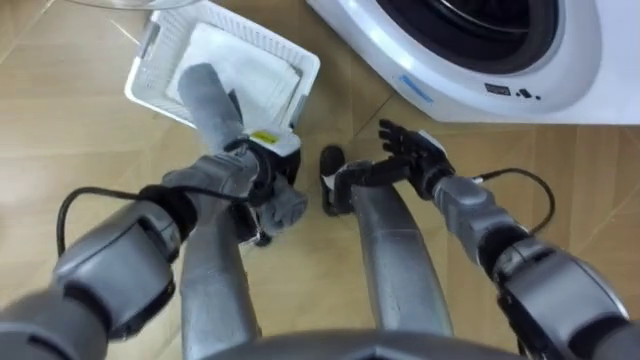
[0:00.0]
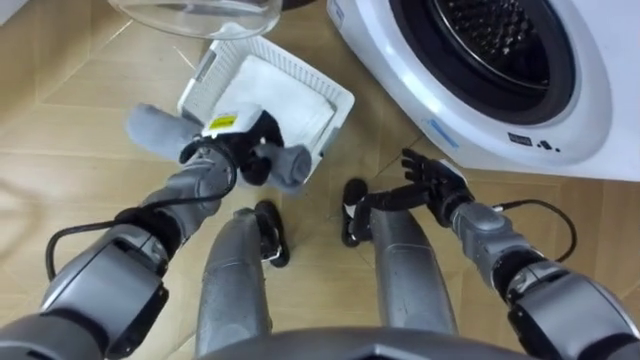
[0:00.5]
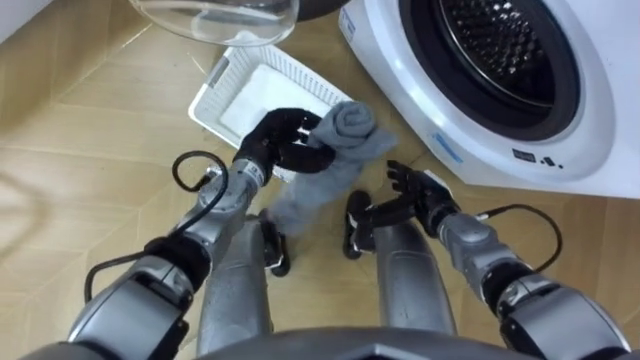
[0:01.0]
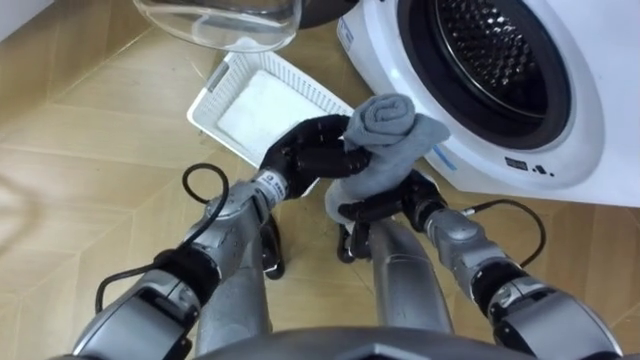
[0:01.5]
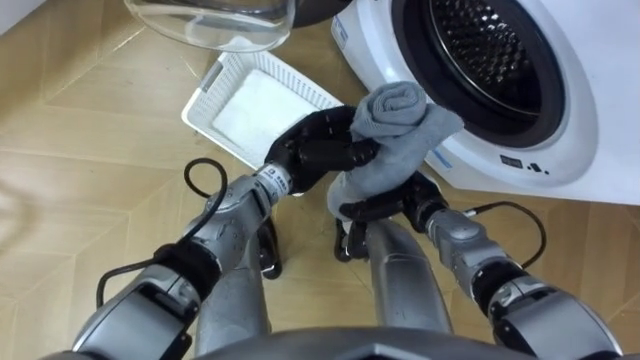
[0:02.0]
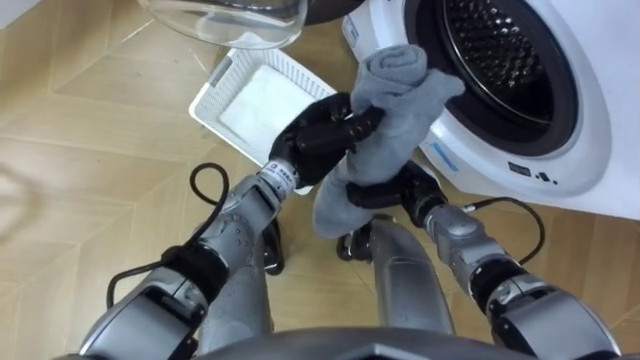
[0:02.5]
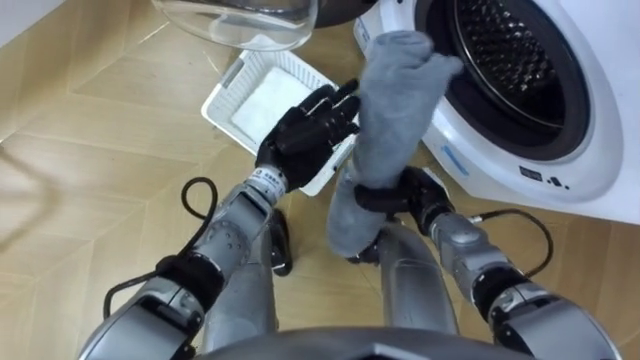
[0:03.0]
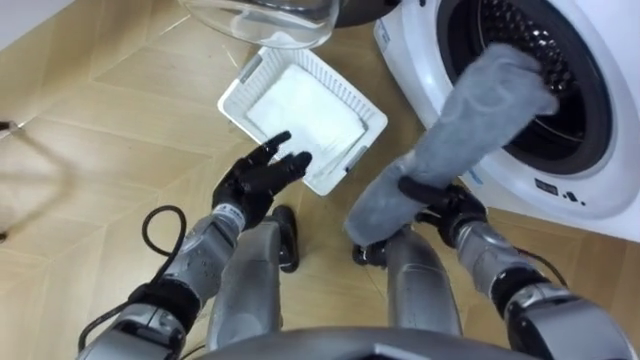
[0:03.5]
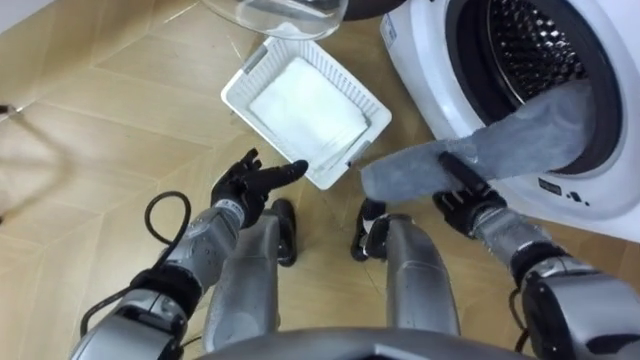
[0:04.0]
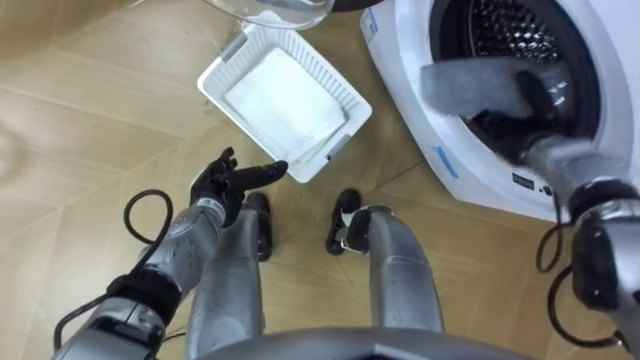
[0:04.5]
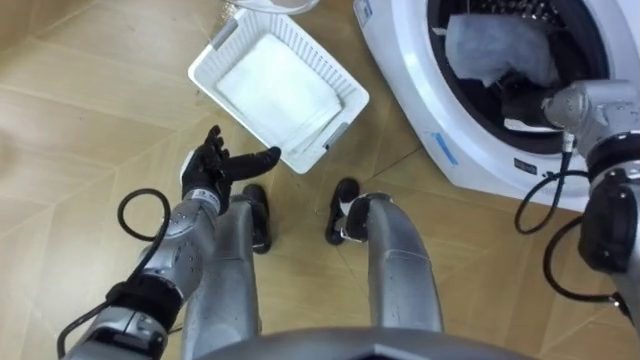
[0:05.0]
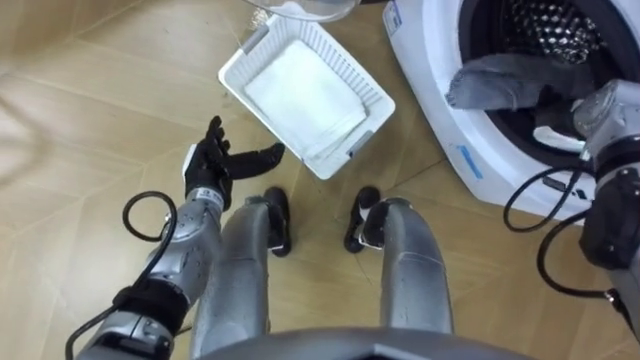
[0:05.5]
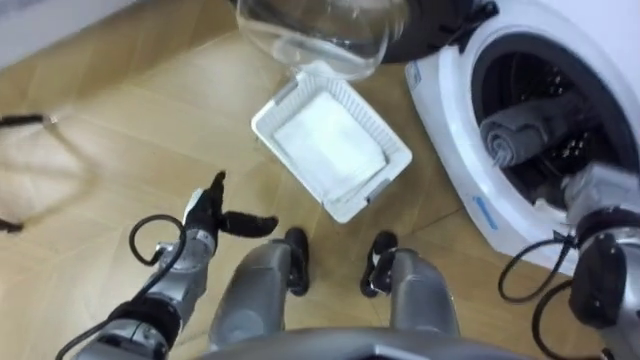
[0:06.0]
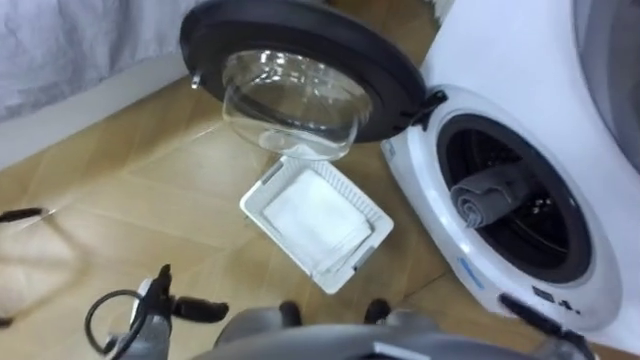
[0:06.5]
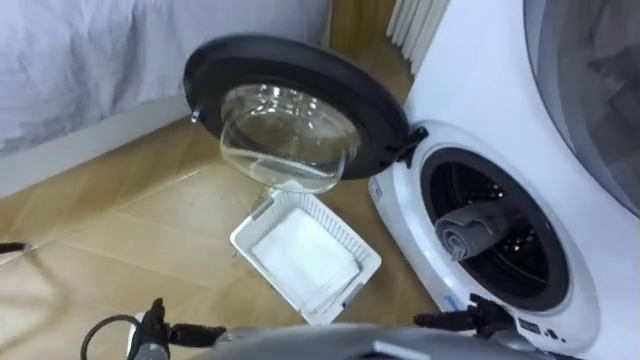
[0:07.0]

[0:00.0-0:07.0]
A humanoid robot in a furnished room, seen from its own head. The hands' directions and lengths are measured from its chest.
Task of the whole recording: Take the towel from the basket and put it into the washing machine.
0:00.0 to 0:02.0: The left hand shifts about 10 cm to the right and upward.
0:02.0 to 0:03.5: The left hand shifts approximately 10 cm to the left and downward, and opens. The right hand heads to the right, covering about 5 cm, and closes up.
0:03.5 to 0:05.0: The right hand is displaced upward, forward and to the right by some 20 cm; the left hand moves to the left, about 5 cm.
0:05.0 to 0:07.0: Both hands move backward and downward, about 30 cm. The right hand opens its fingers.

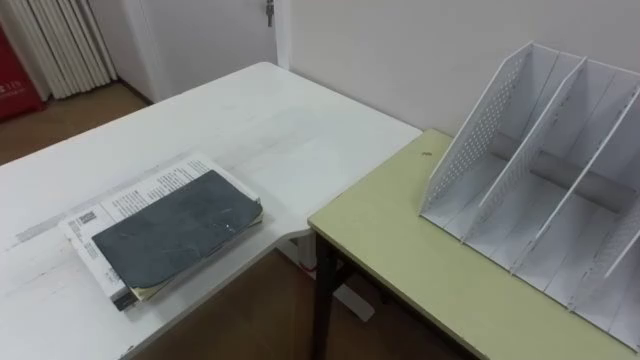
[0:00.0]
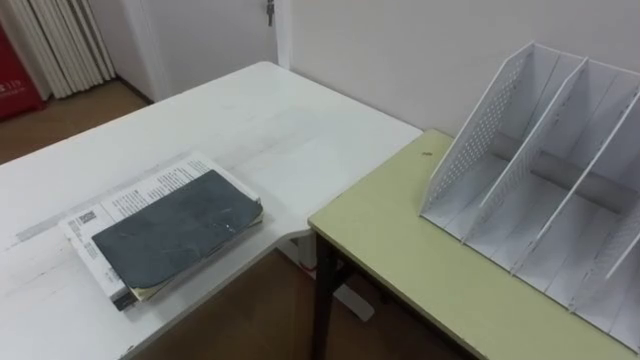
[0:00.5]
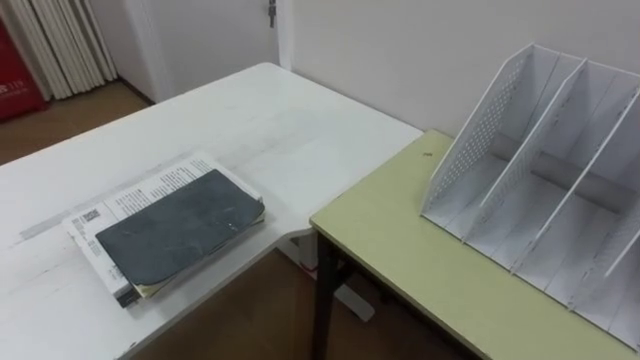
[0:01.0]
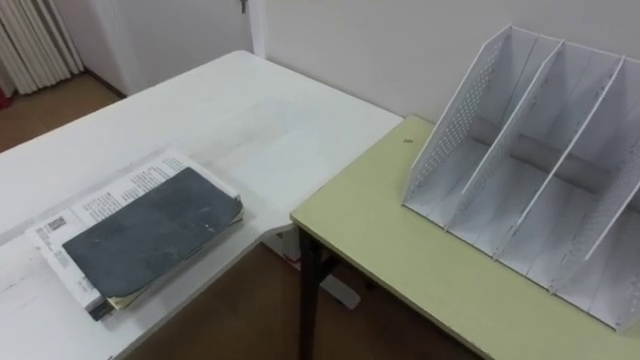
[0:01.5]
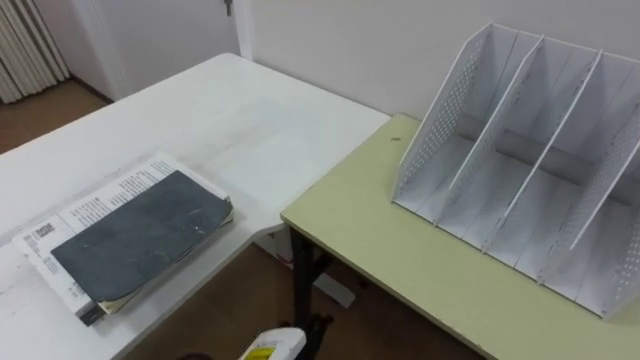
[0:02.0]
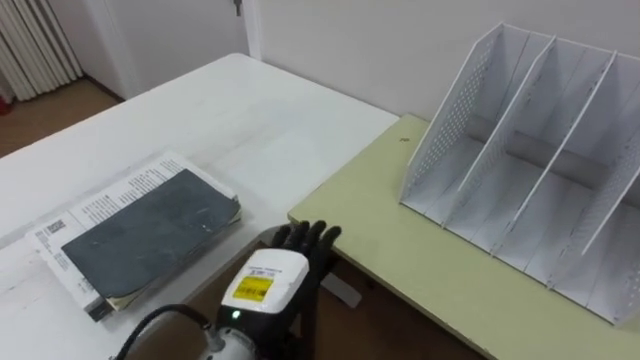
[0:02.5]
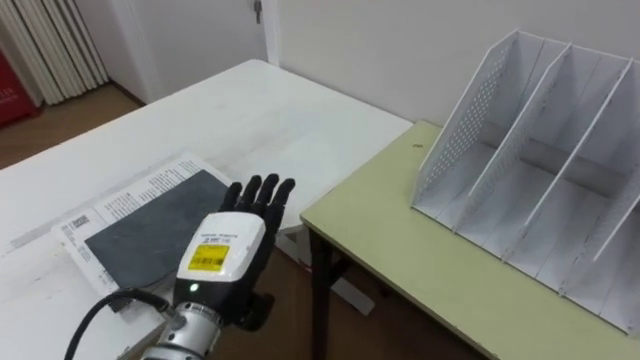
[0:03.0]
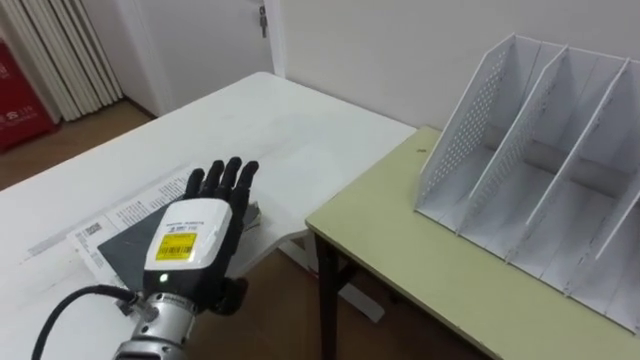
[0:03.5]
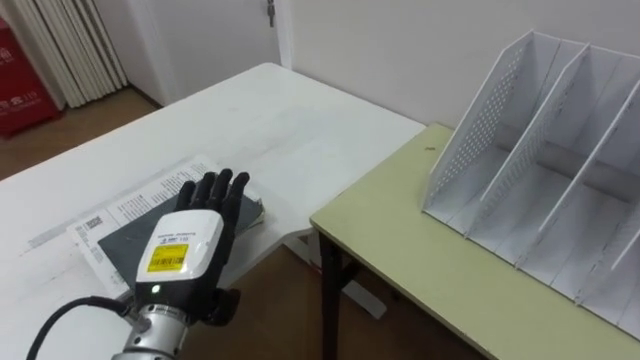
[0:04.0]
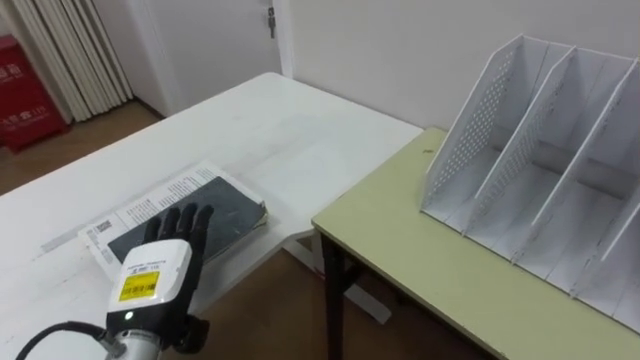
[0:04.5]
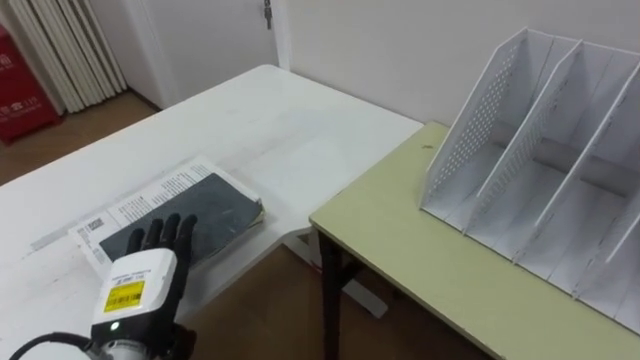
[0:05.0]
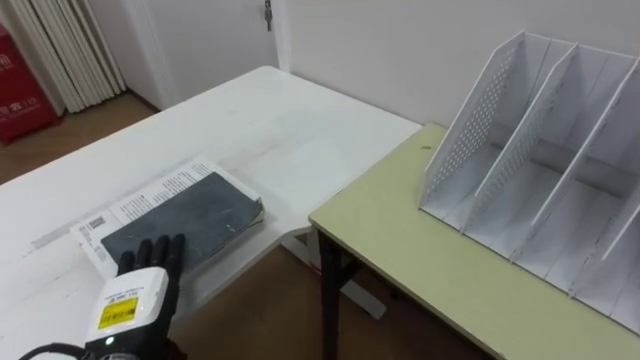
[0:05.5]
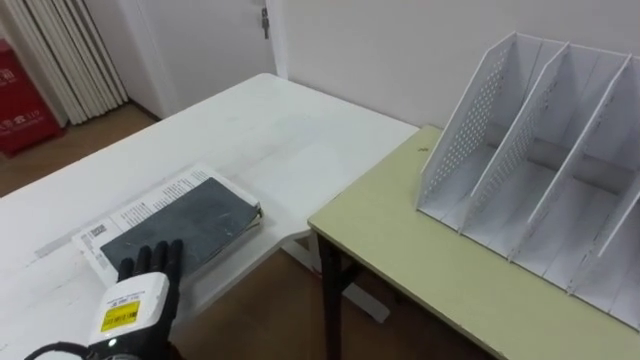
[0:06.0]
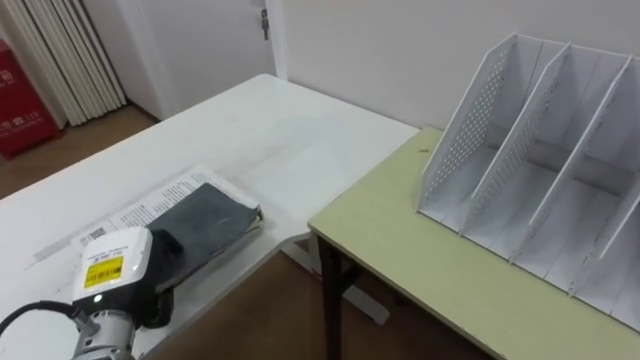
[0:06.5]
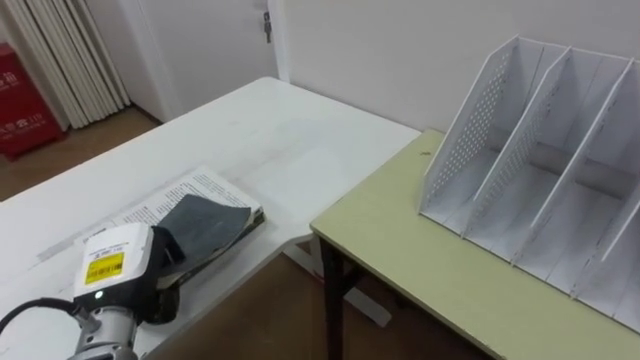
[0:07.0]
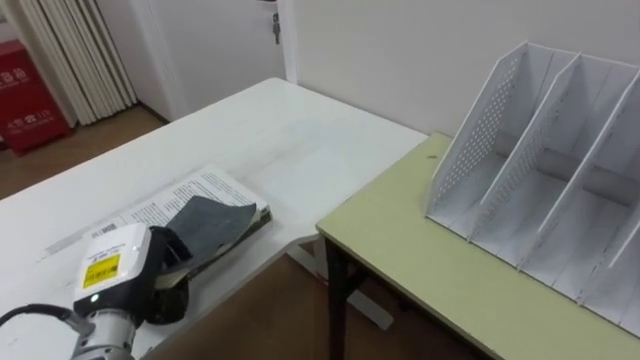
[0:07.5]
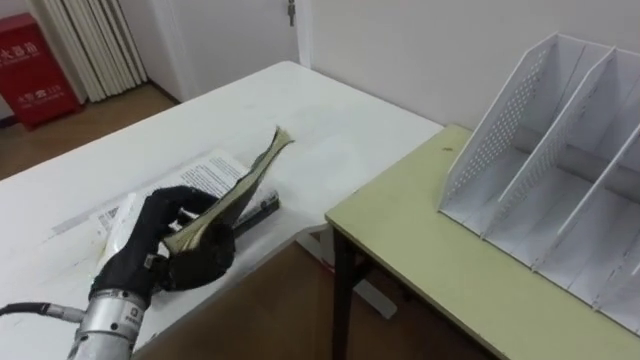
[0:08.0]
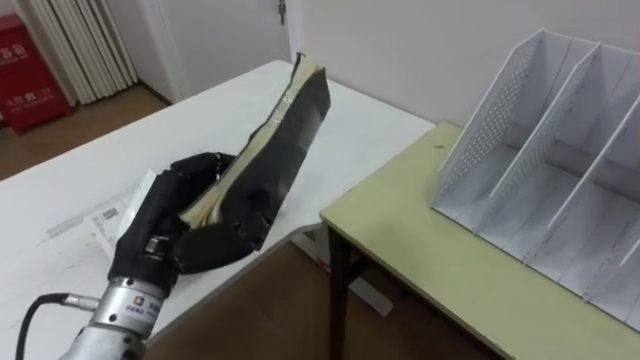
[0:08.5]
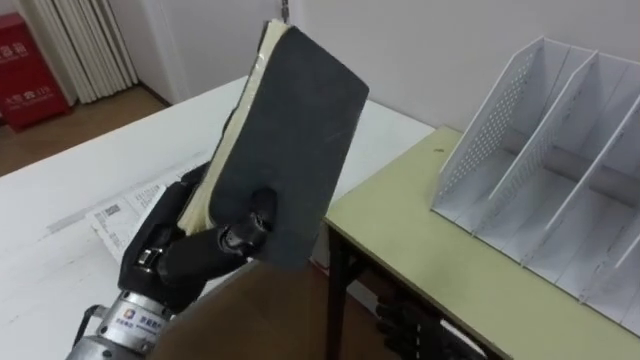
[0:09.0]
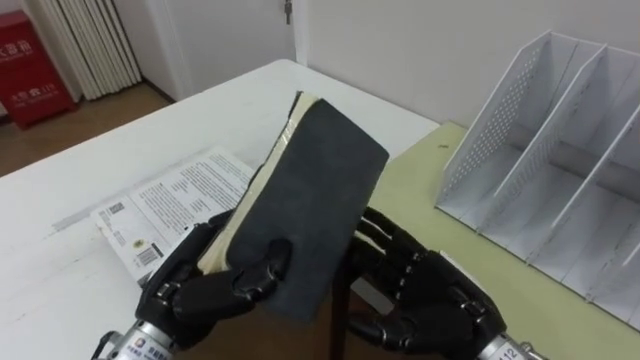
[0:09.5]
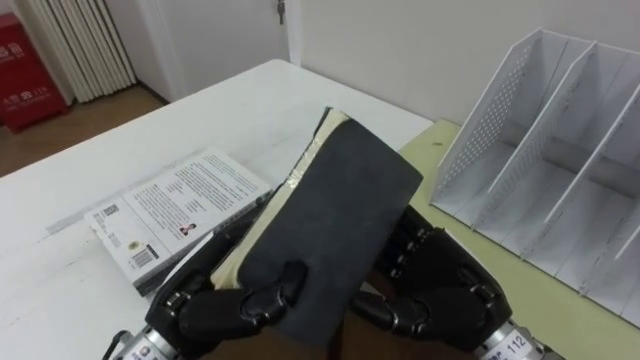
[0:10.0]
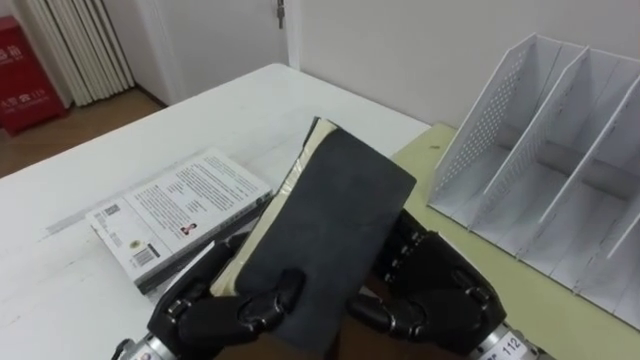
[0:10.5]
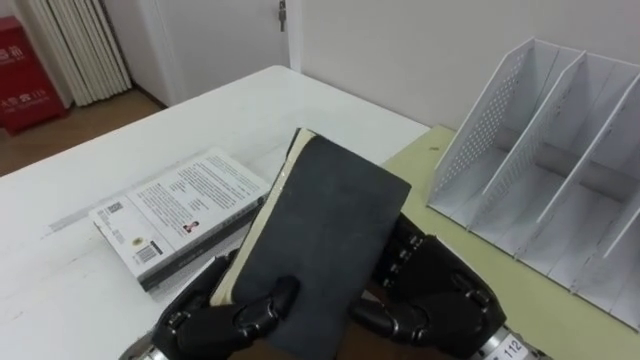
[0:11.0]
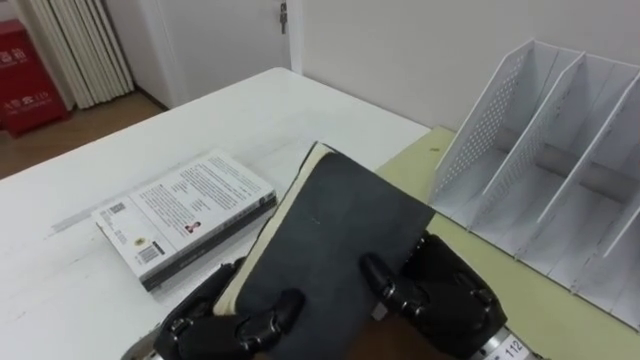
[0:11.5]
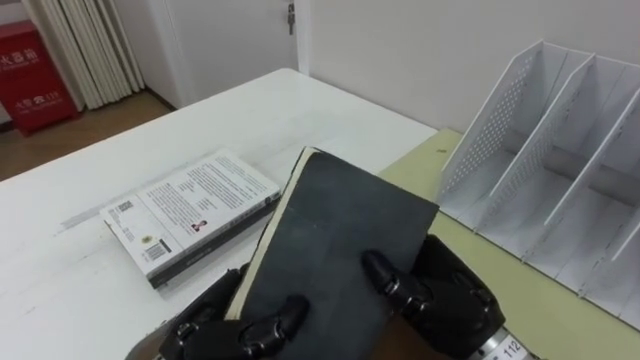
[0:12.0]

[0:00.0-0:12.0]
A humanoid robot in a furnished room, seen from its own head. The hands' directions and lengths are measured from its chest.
Task of the whole recording: Put the books on the table onto the bookshelf.
0:04.0 to 0:06.0: The left hand is displaced downward and to the left by about 10 cm.
0:06.0 to 0:08.0: The left hand moves upward, roughly 10 cm, and closes up.
0:08.0 to 0:10.0: The left hand goes approximately 10 cm to the right.
0:10.0 to 0:12.0: The right hand closes.

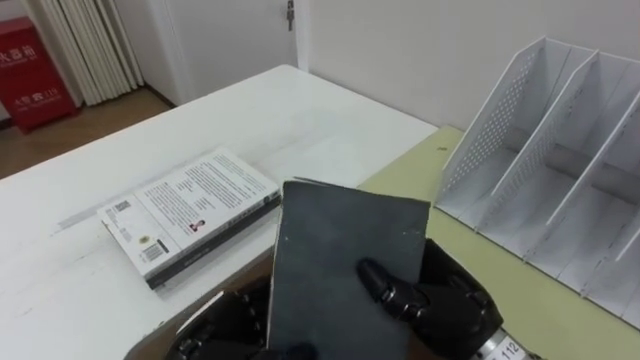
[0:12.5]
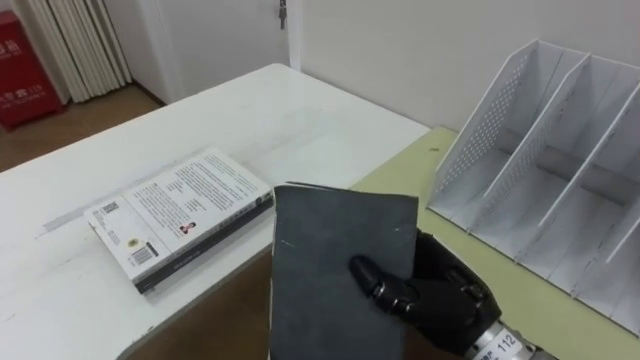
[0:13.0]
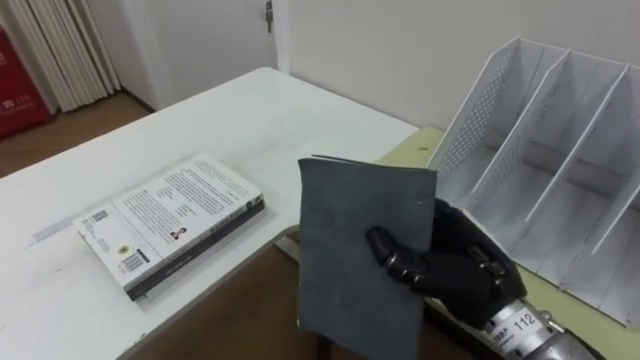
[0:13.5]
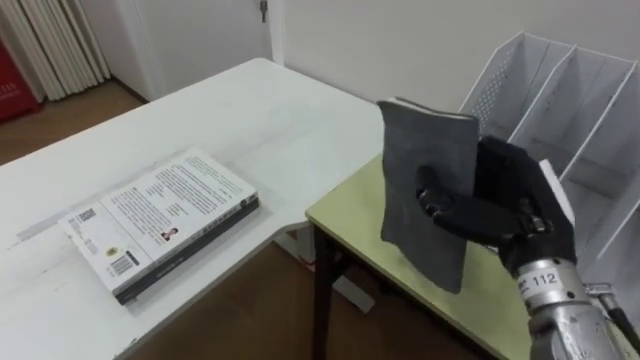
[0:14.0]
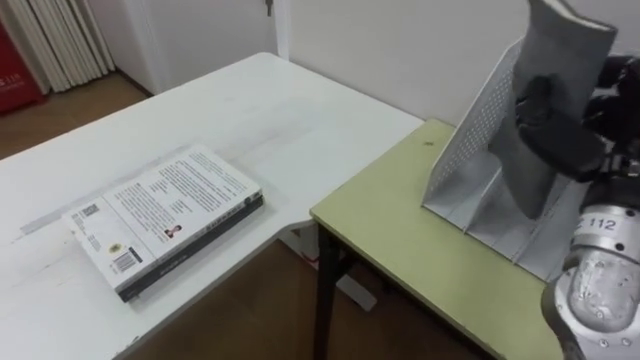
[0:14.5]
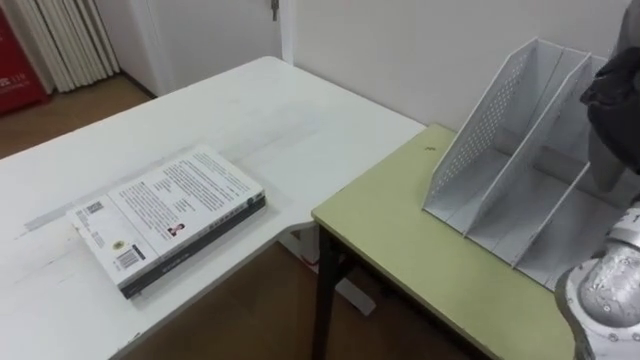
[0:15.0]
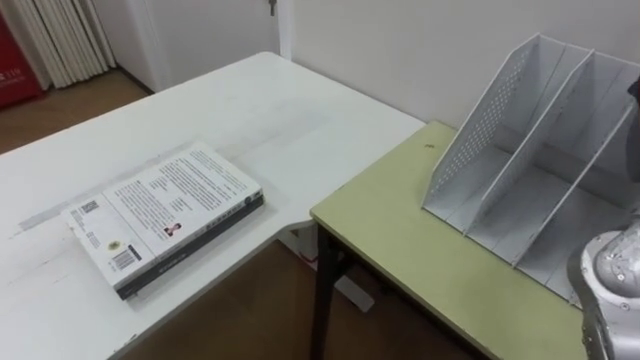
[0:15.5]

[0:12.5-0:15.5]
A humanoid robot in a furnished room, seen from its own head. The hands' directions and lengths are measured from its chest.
Task of the whole recording: Put the books on the table onto the bookshelf.
0:12.5 to 0:14.0: The right hand goes about 10 cm to the right and upward.
